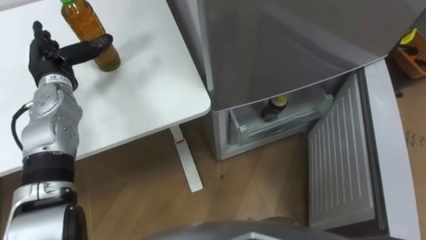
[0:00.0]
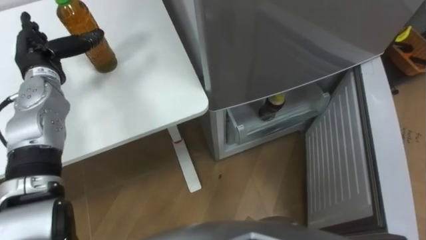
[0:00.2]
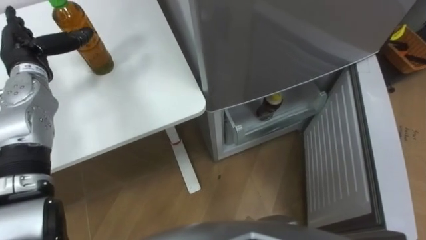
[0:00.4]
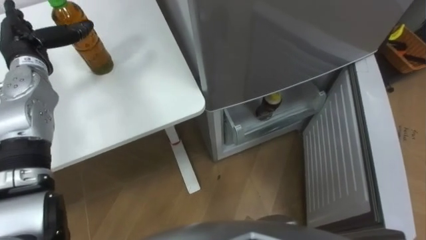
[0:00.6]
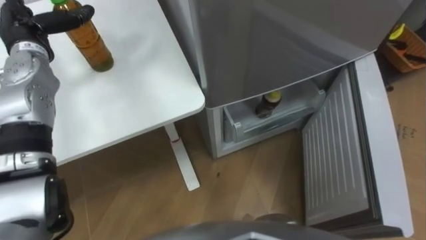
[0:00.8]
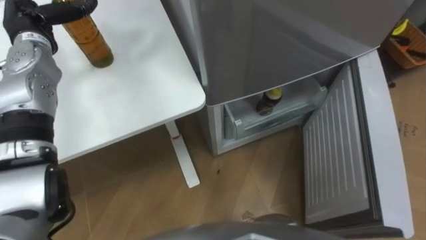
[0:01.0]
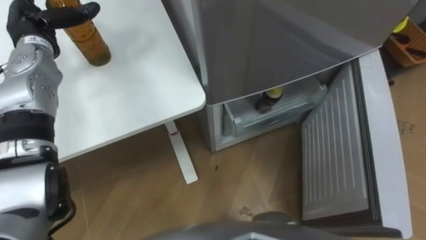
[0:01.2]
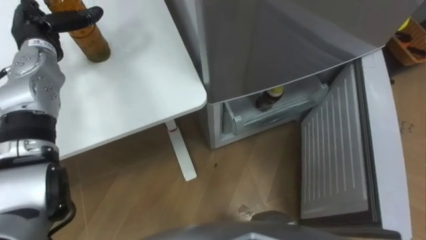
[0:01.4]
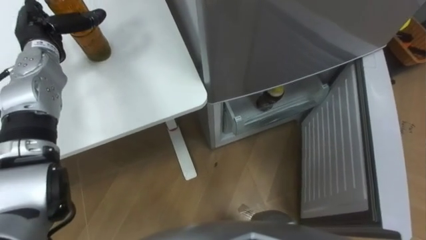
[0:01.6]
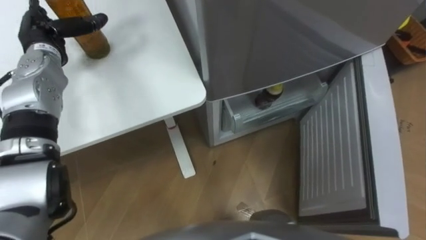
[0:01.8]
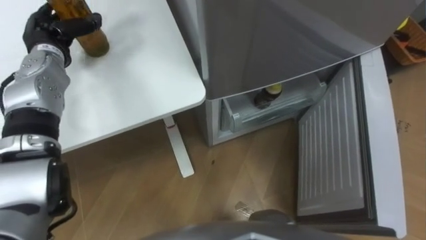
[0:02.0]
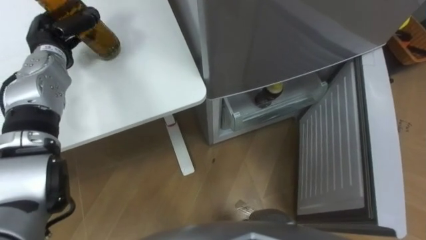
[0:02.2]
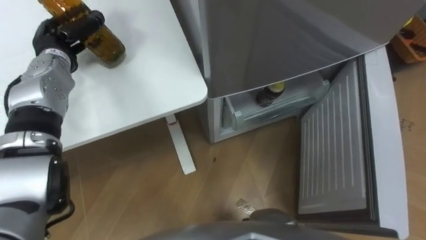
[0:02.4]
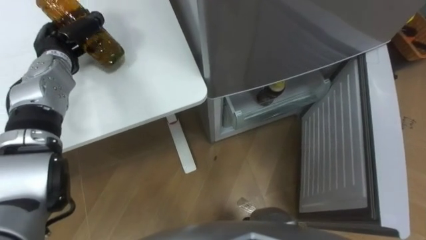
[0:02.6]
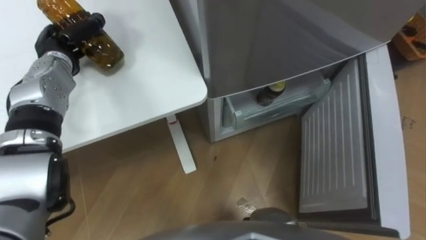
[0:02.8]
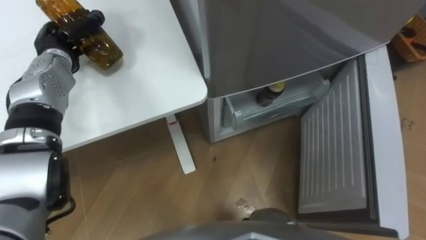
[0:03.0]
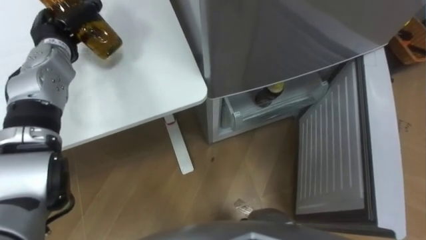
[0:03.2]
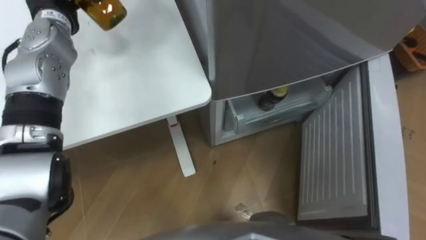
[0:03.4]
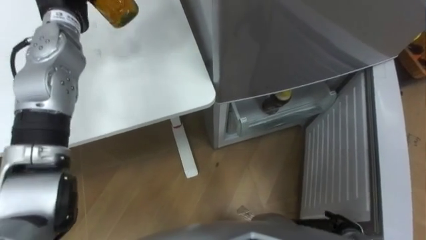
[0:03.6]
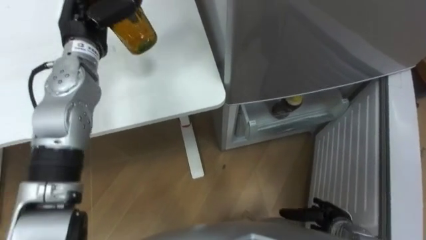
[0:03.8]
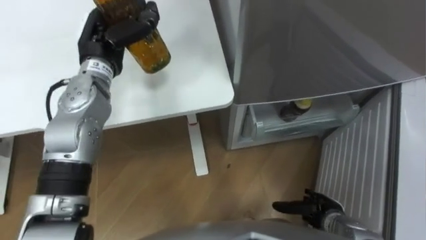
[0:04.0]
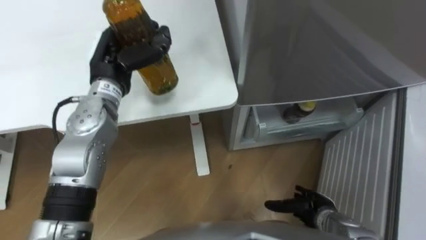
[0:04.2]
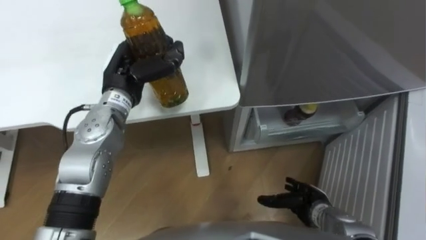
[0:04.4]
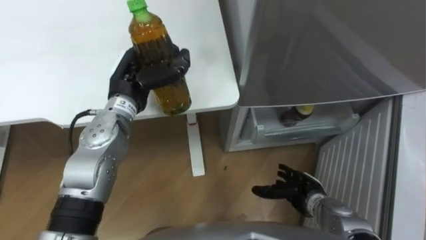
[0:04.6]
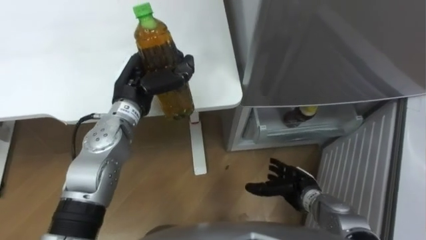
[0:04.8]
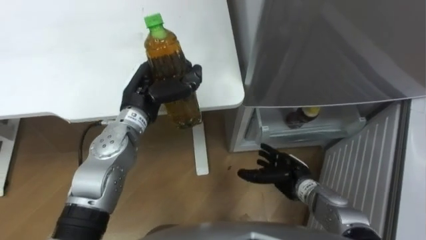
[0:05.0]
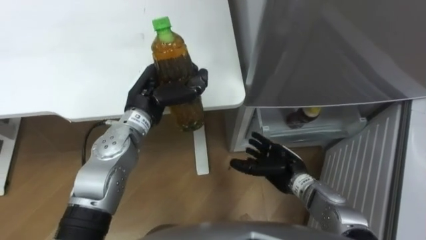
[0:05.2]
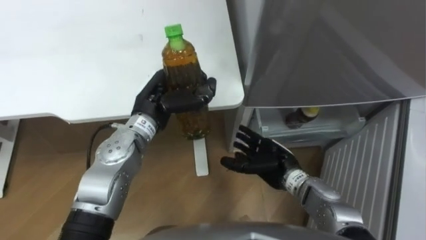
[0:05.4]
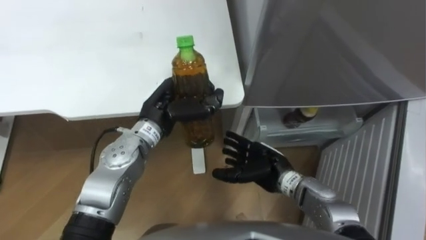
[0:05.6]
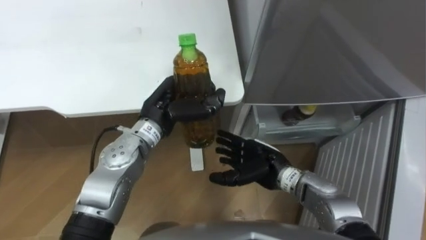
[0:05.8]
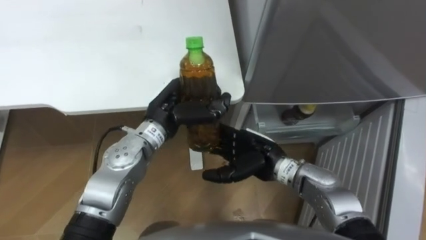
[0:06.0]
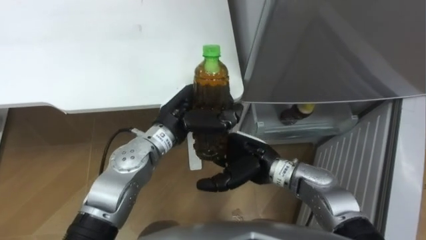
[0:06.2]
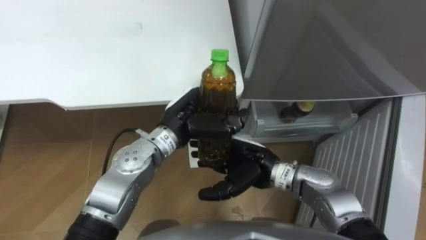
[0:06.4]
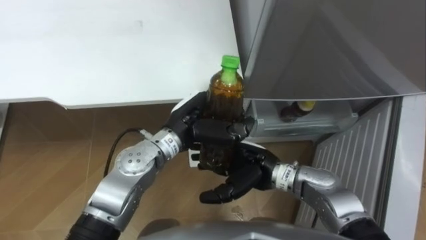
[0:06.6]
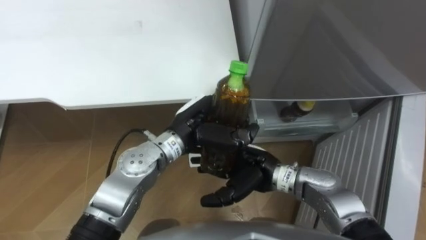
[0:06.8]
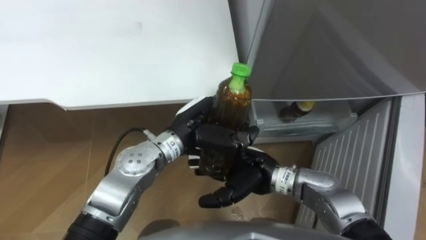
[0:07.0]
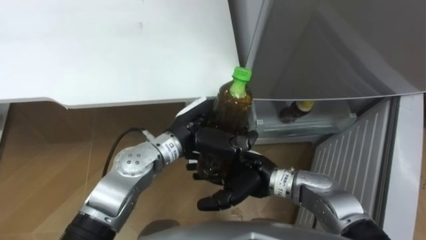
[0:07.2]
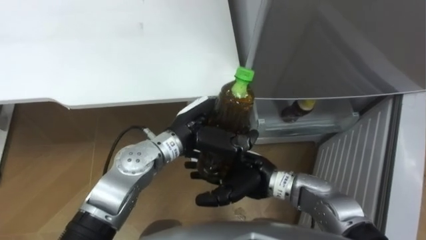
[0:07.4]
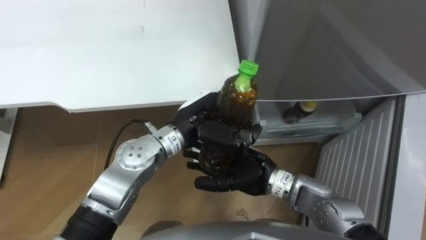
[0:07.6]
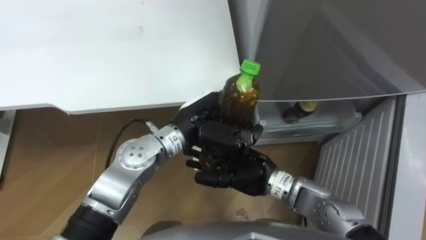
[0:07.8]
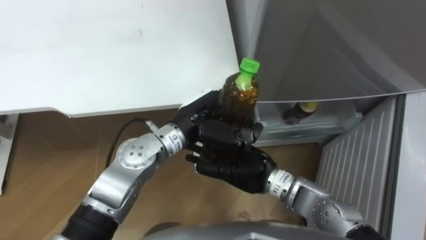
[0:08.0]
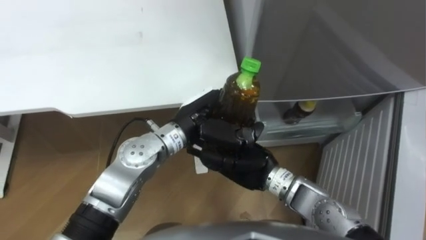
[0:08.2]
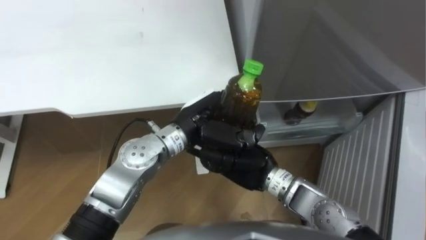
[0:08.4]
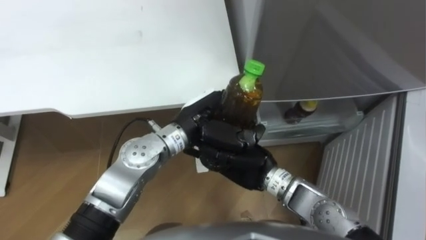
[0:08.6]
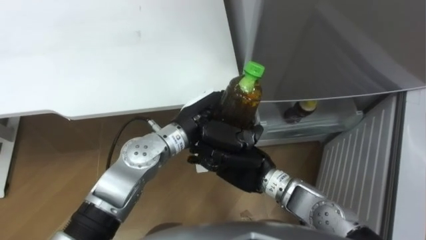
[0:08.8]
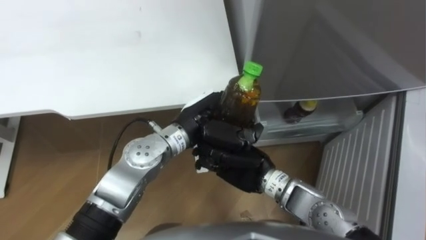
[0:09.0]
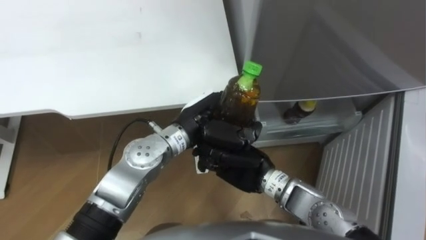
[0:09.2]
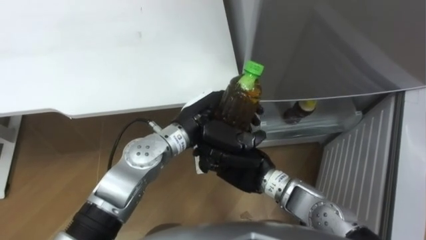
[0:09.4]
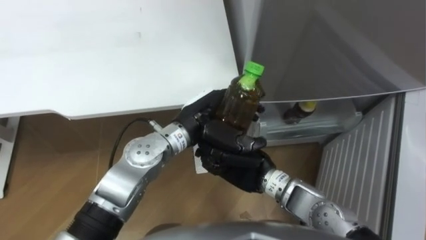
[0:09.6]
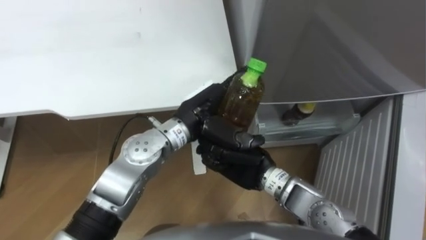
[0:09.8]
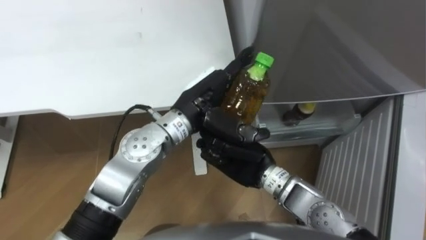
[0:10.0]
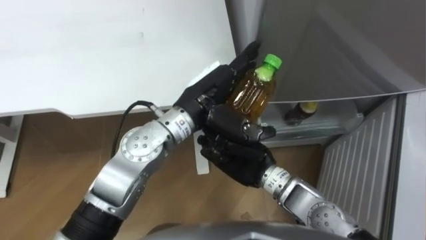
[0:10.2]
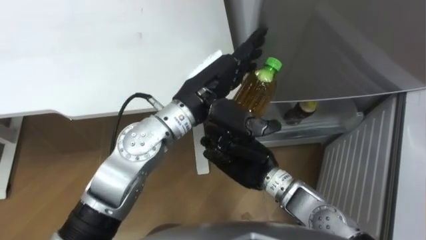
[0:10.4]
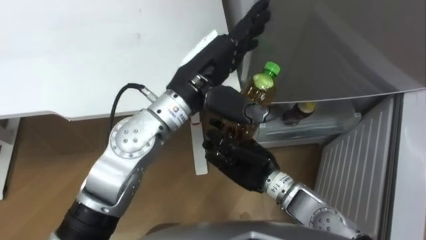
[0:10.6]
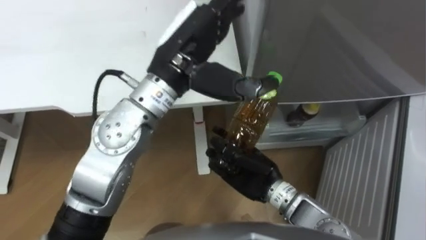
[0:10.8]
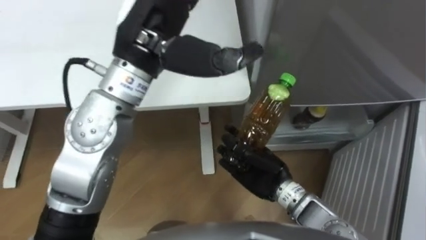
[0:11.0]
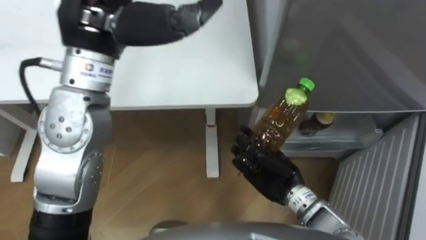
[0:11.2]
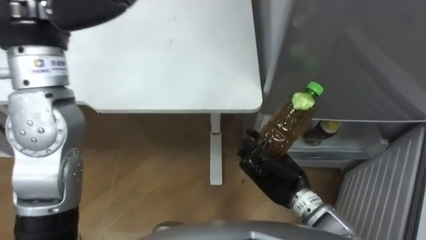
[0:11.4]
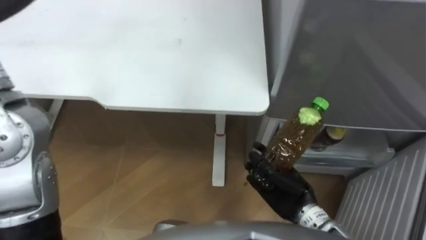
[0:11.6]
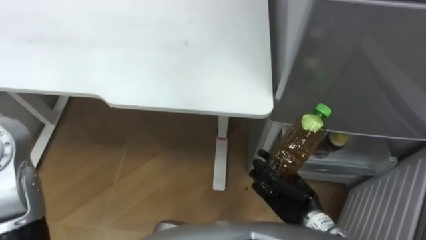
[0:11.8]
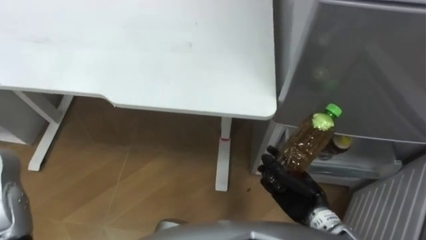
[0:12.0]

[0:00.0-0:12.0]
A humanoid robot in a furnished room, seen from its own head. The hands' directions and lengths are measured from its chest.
Task of the whole recording: Place the drink on the table on the bottom shelf of the refrigerator, then close the drawer and the refrigerator door.
0:00.0 to 0:01.6: The left hand changes place by roughly 5 cm.
0:01.6 to 0:03.0: The left hand closes.
0:04.4 to 0:06.0: The right hand travels to the left, upward and forward by about 20 cm. The left hand heads to the right, covering about 10 cm.
0:06.0 to 0:07.6: The left hand heads to the right, covering roughly 5 cm.
0:07.6 to 0:09.0: The right hand closes.
0:09.0 to 0:10.4: The left hand goes about 10 cm upward, and opens its fingers.
0:10.4 to 0:12.0: The right hand goes about 15 cm to the right, downward and backward.

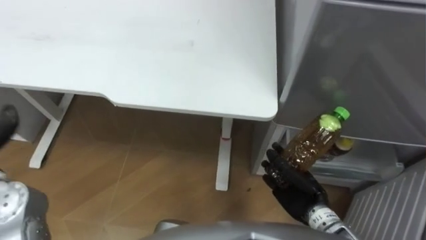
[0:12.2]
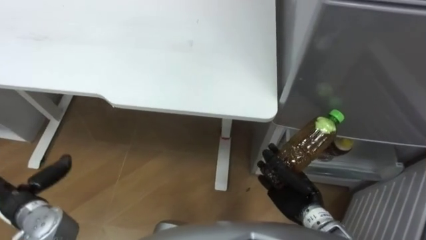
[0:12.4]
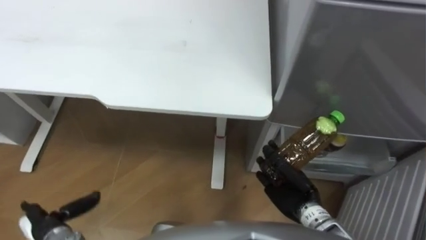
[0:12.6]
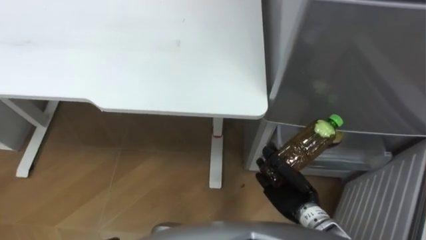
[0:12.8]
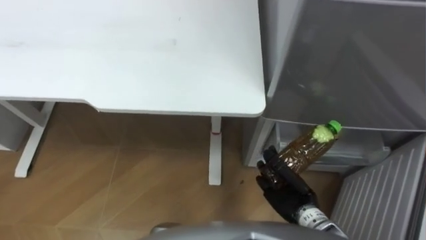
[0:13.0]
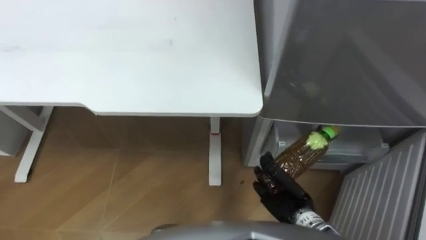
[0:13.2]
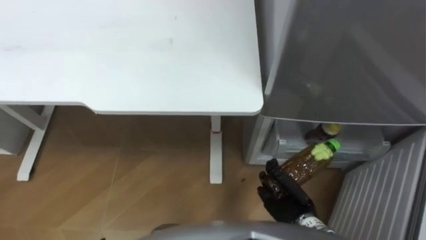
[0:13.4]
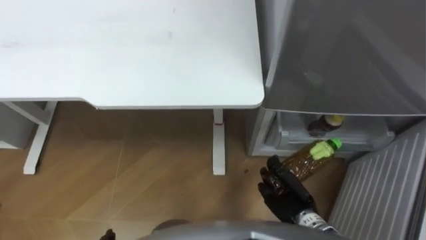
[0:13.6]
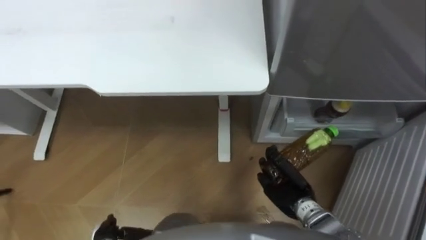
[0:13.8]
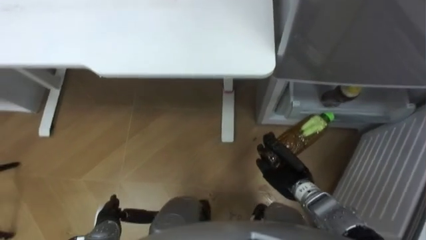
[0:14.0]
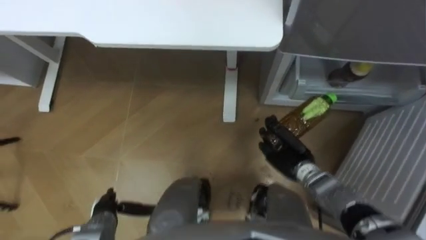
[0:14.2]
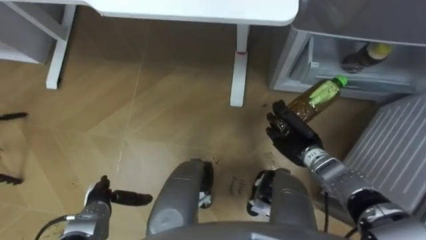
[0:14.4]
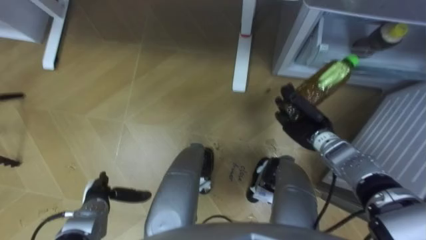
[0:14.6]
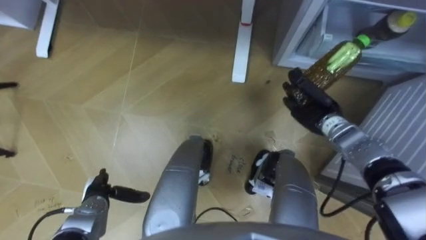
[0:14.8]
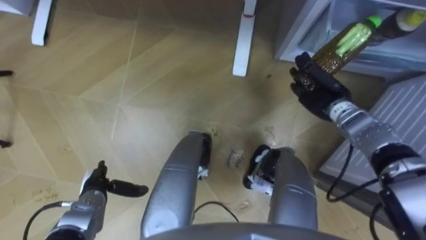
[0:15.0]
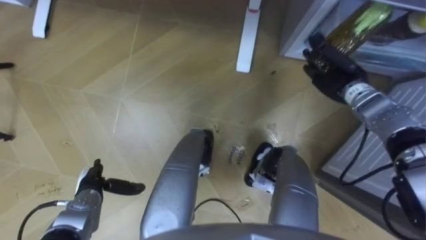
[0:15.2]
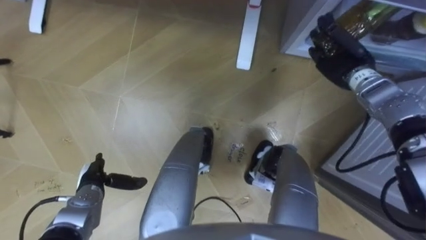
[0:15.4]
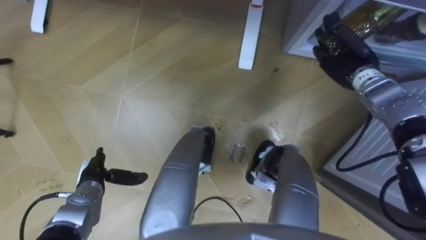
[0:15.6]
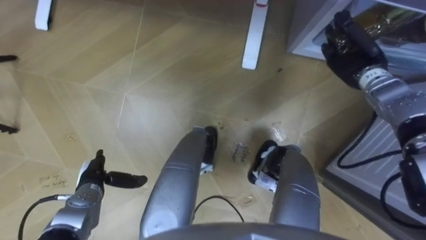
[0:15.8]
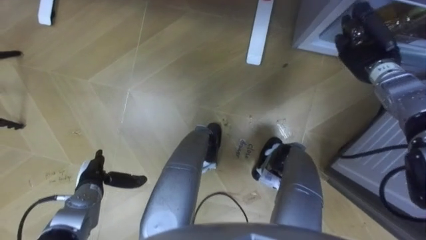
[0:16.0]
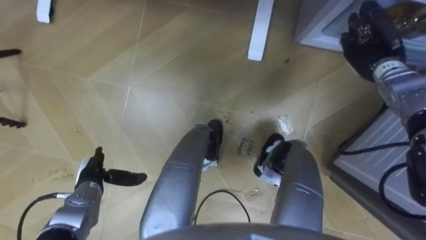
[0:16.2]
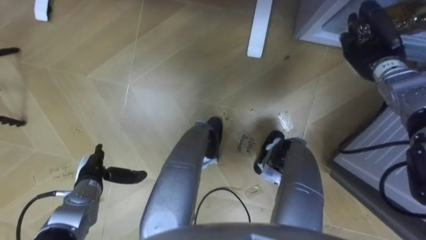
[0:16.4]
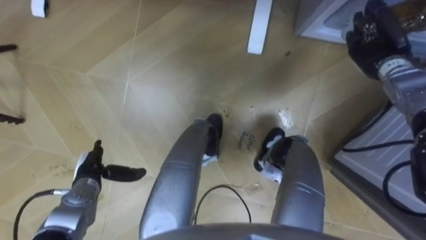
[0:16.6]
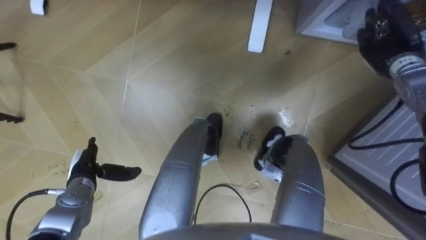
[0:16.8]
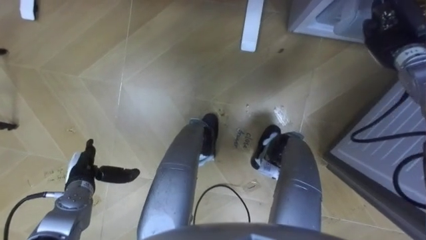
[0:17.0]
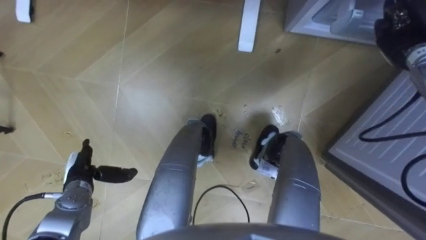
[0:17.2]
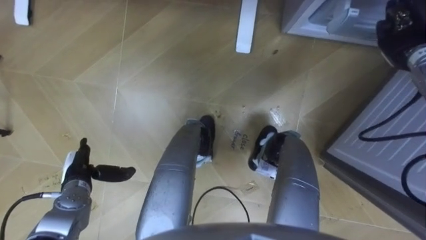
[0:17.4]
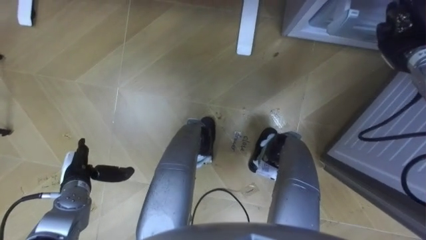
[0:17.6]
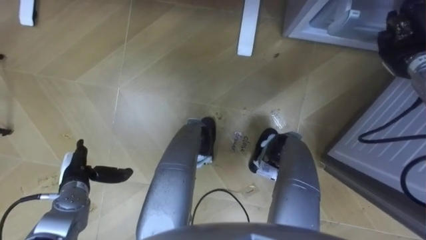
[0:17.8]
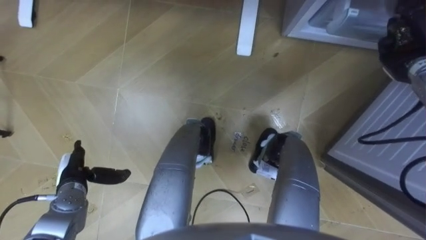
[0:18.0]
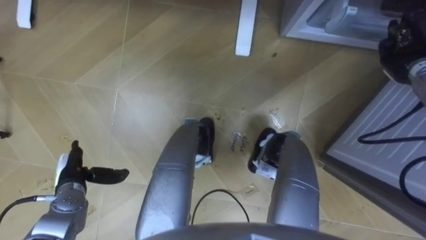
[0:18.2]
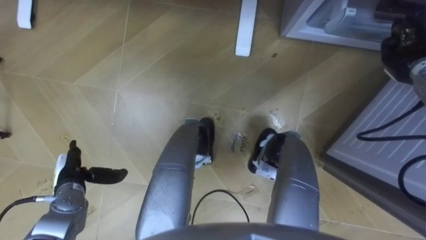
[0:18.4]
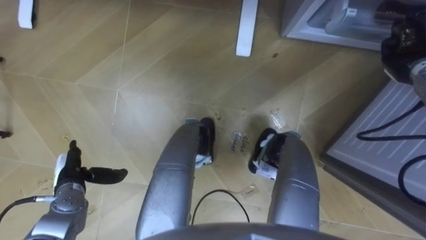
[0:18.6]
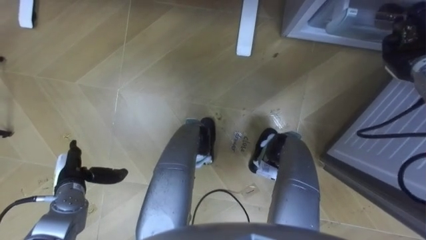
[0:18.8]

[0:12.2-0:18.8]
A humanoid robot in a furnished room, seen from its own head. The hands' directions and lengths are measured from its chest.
Task of the whole recording: Place the drink on the table on the bottom shelf of the refrigerator, then close the drawer and the refrigerator door.
0:12.2 to 0:13.8: The right hand heads downward, covering about 5 cm.
0:13.8 to 0:15.4: The right hand shifts approximately 30 cm forward and upward.
0:15.4 to 0:17.2: The right hand shifts some 10 cm to the right.
